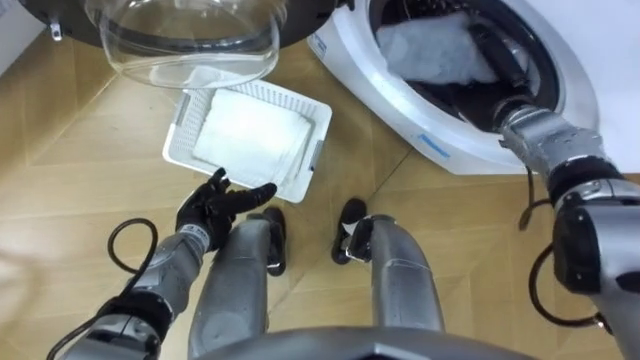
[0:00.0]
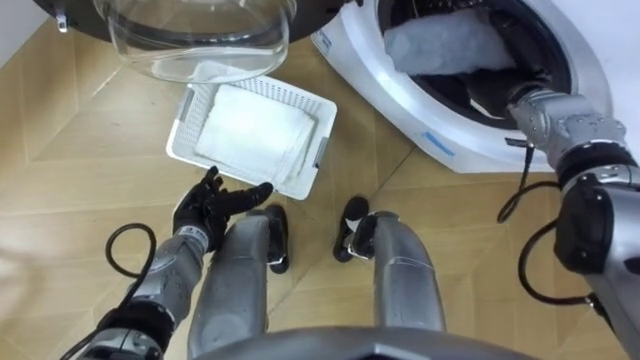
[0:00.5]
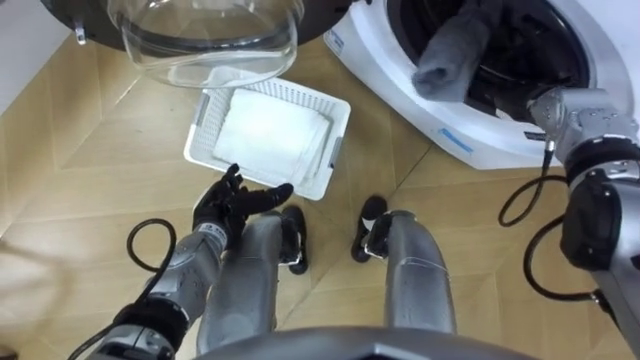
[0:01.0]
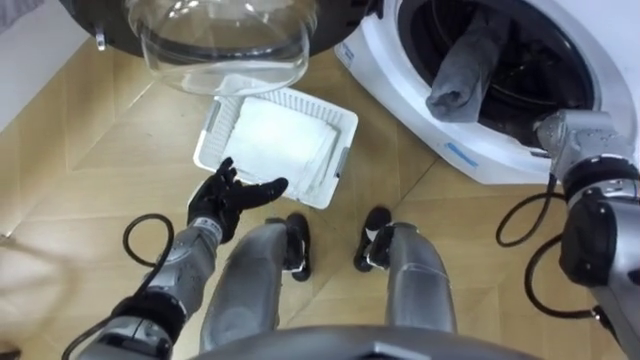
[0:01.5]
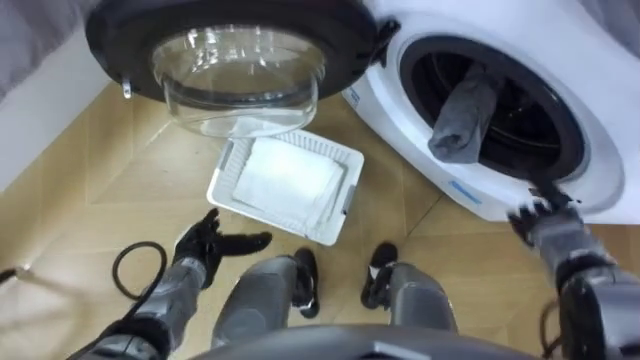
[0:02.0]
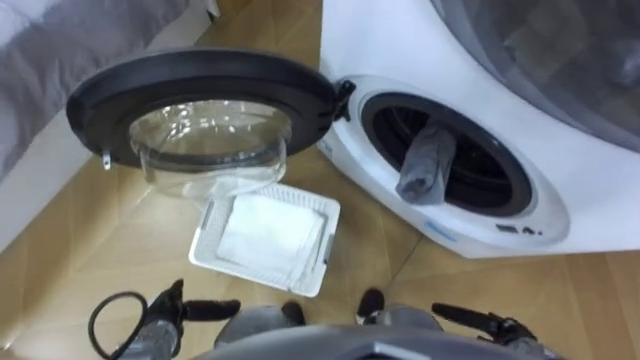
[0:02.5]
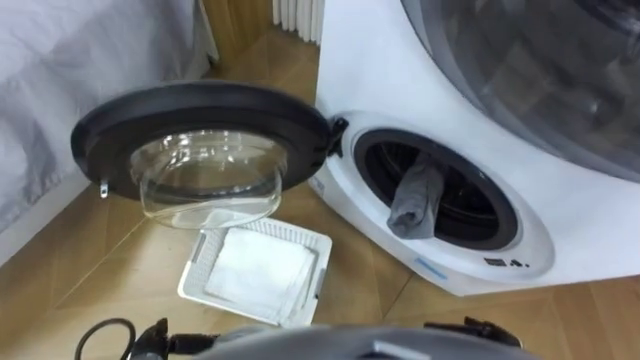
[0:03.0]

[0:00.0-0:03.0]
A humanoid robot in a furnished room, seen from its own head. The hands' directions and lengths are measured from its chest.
Task of the whole recording: Take the towel from the basket and put it into the washing machine.
0:00.0 to 0:01.5: The right hand heads to the right, covering roughly 5 cm, and opens up.
0:01.5 to 0:03.0: The left hand moves backward and to the left, approximately 25 cm; the right hand goes about 35 cm backward and downward.

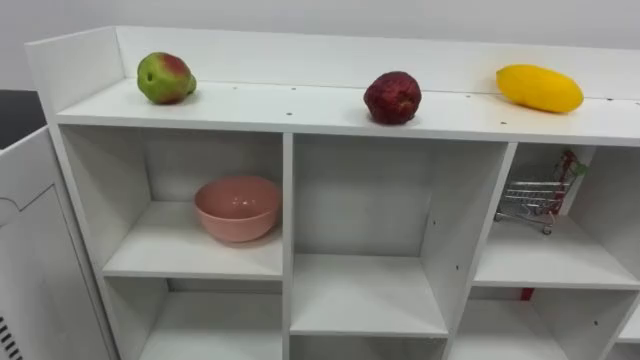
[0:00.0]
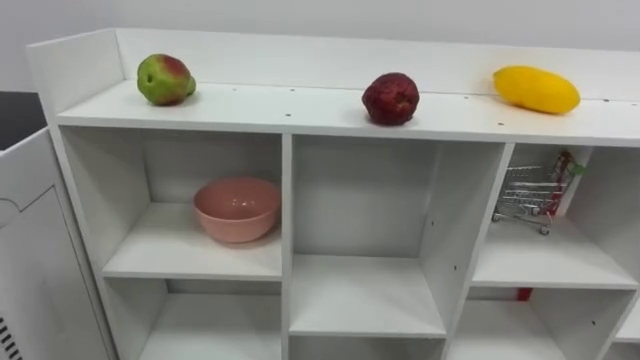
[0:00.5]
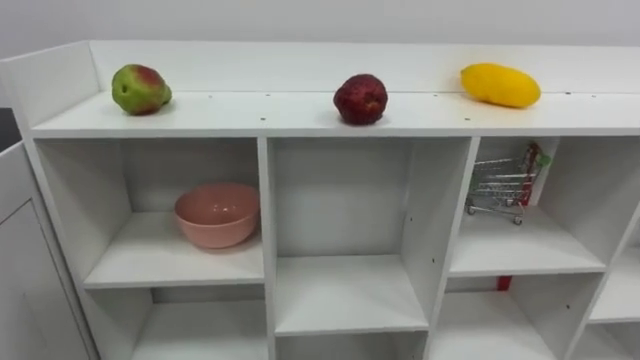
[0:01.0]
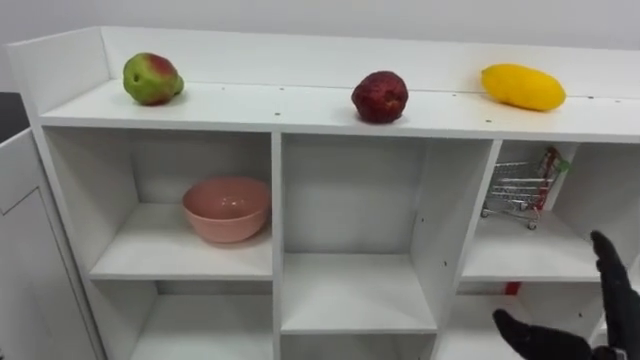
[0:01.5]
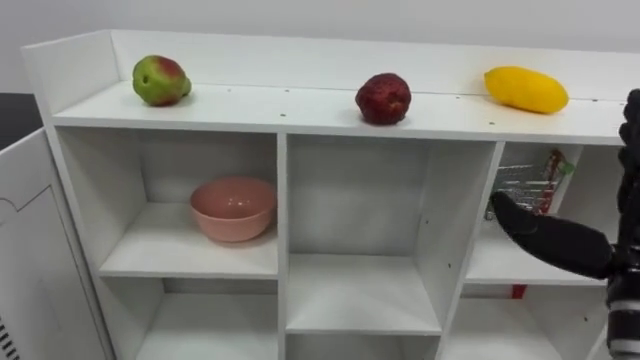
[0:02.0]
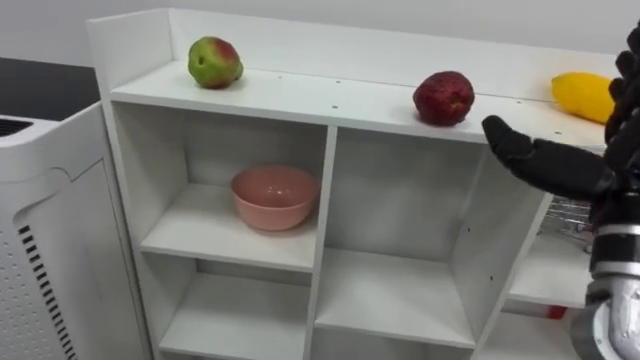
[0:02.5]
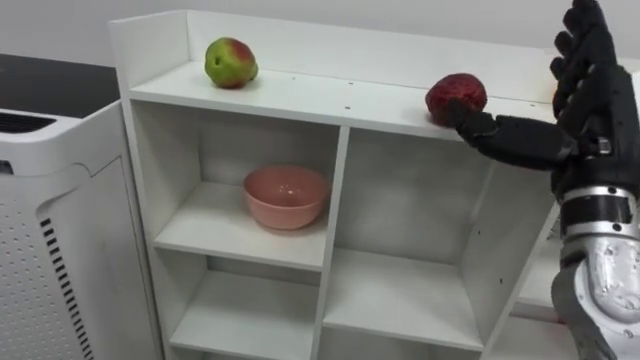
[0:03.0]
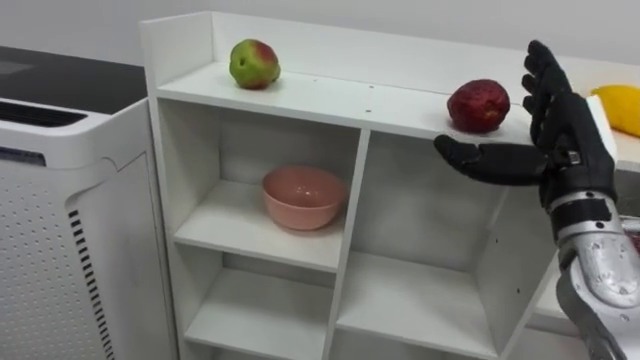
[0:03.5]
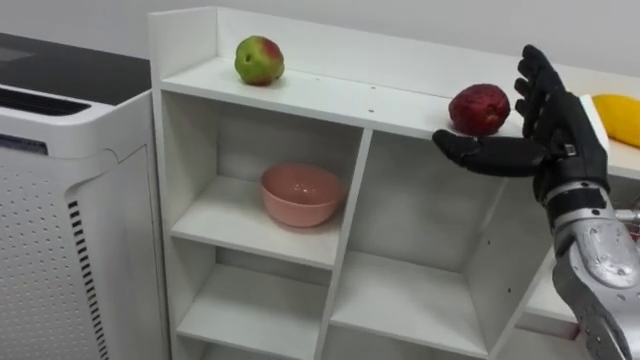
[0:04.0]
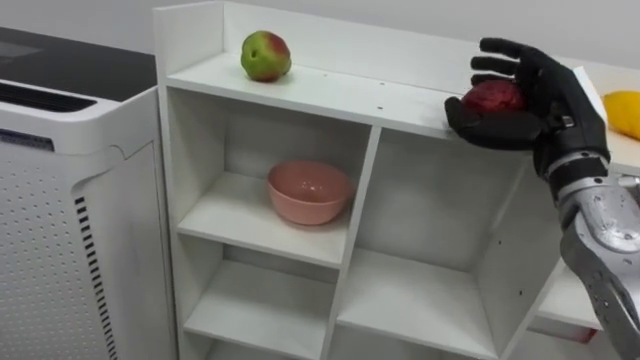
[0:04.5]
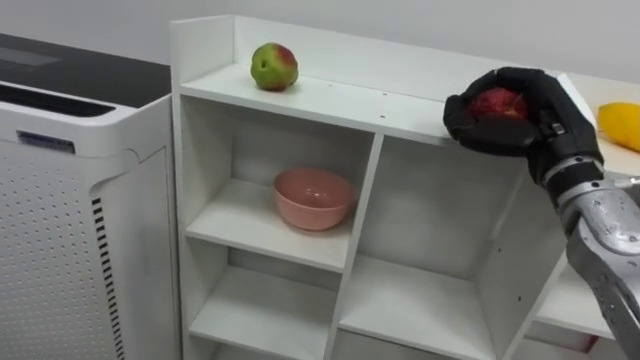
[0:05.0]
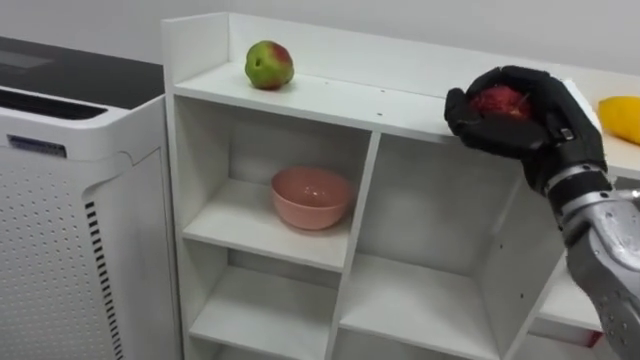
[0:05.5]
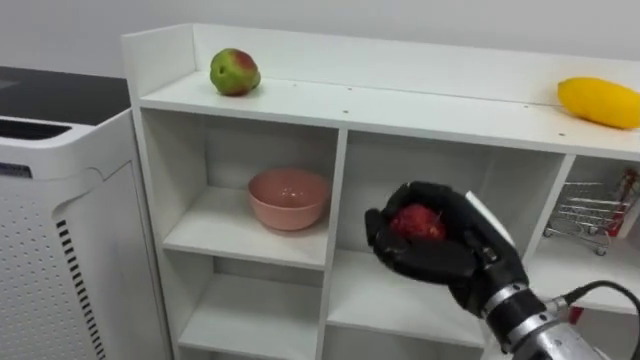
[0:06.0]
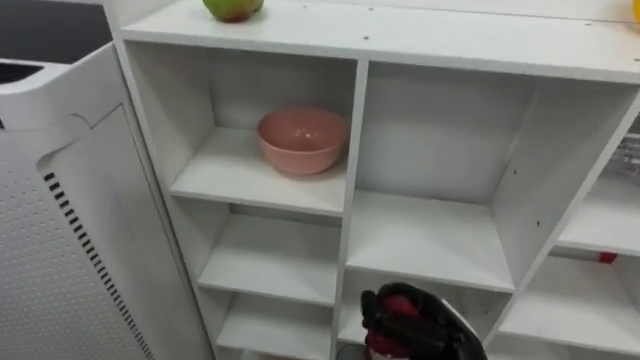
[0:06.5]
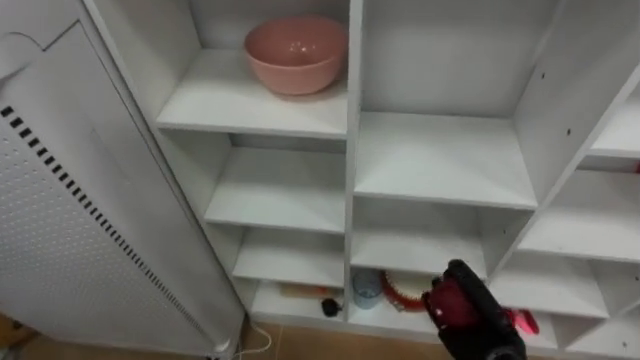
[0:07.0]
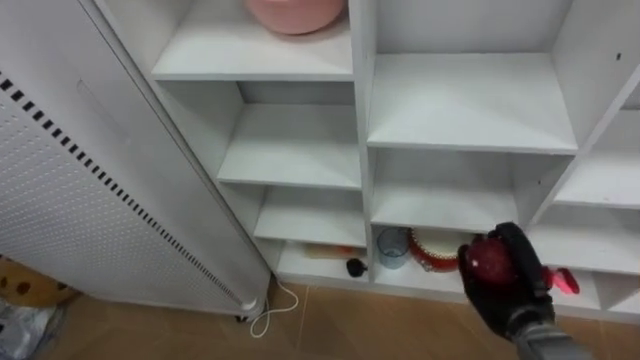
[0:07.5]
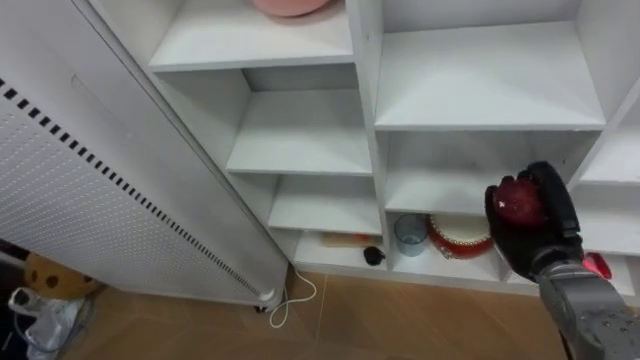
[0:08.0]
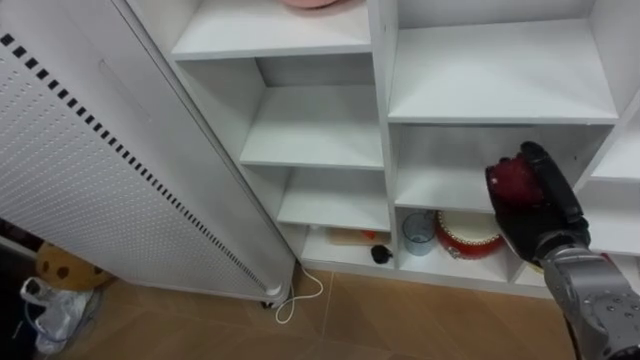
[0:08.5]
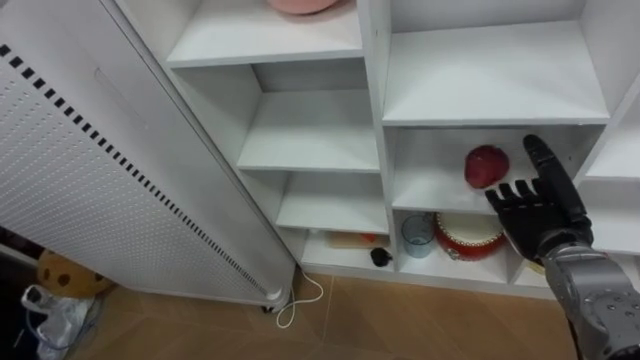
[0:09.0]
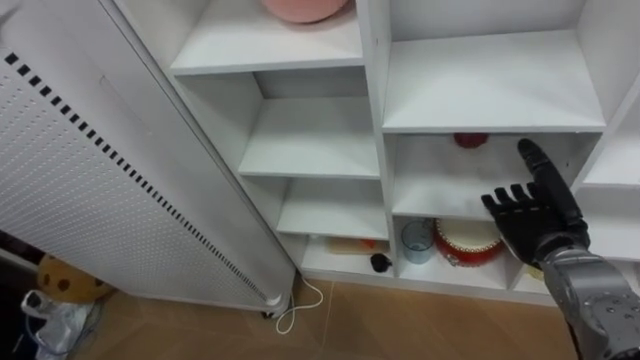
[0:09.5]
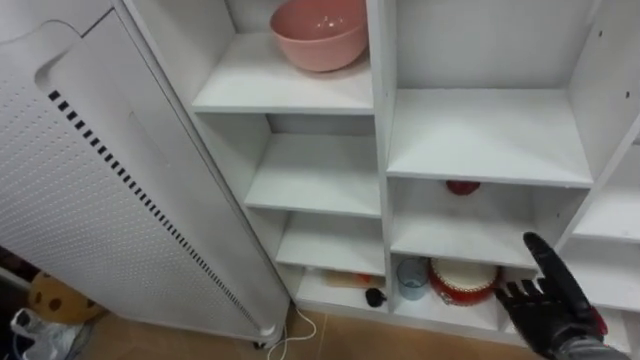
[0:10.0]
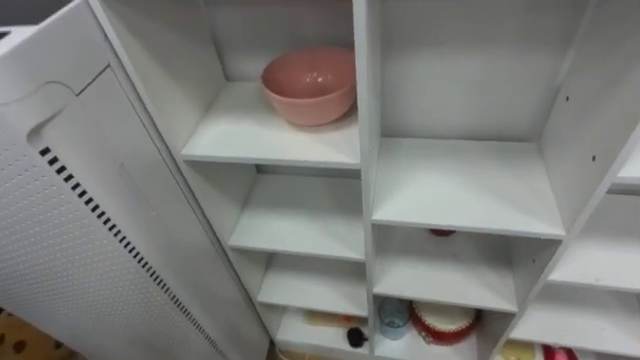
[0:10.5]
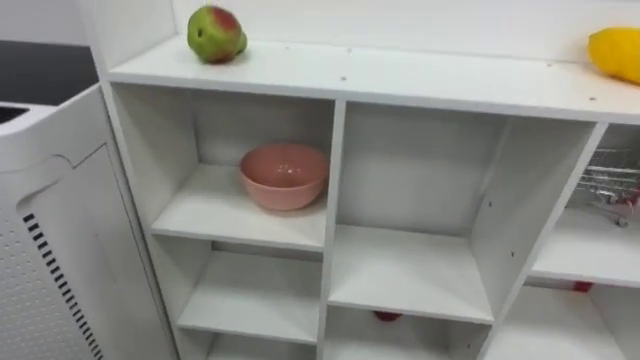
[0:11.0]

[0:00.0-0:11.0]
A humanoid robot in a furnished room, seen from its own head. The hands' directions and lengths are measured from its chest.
Task of the whole recording: Put the apple in the cell in the second column from the left and the second row from the top.
0:02.0 to 0:03.5: The right hand is displaced forward by approximately 10 cm.
0:03.5 to 0:05.5: The right hand closes up.
0:05.5 to 0:07.5: The right hand travels downward by some 25 cm.
0:07.5 to 0:09.0: The right hand moves upward, roughly 10 cm, and opens up.

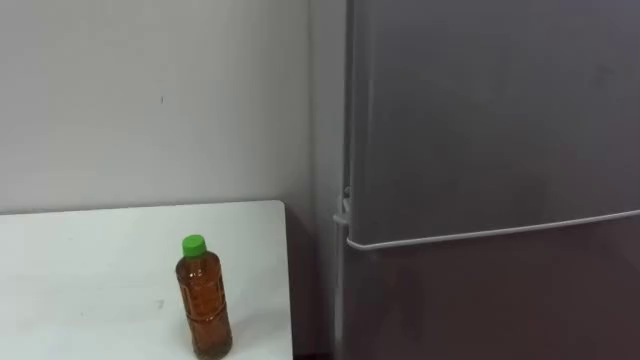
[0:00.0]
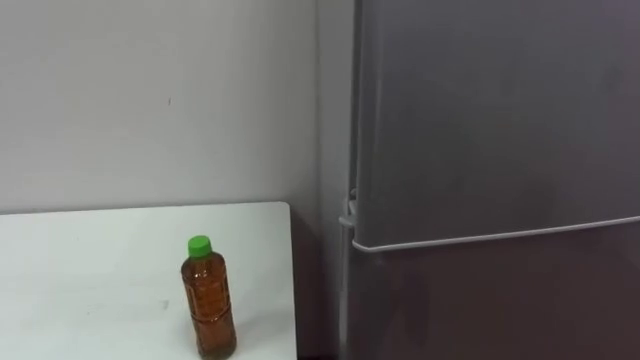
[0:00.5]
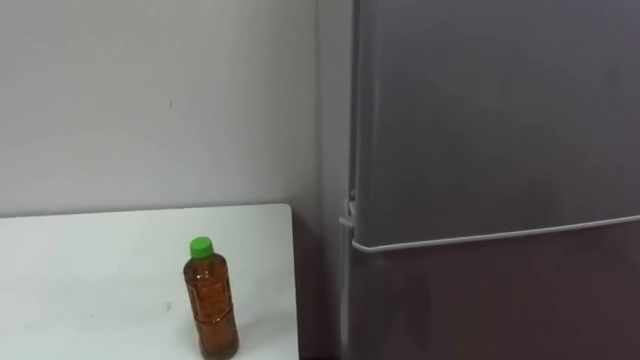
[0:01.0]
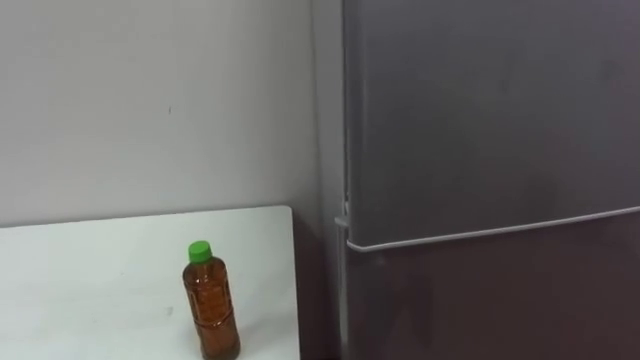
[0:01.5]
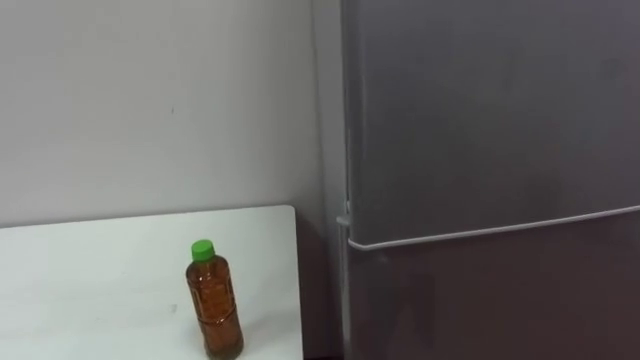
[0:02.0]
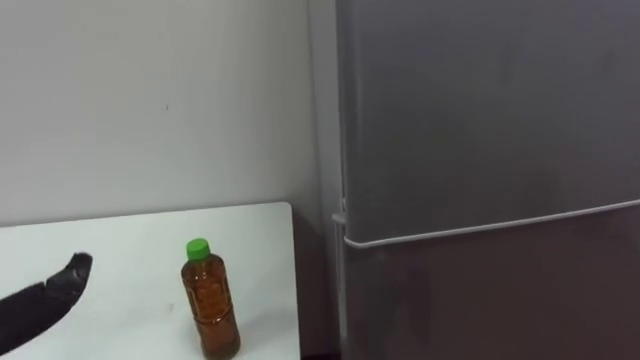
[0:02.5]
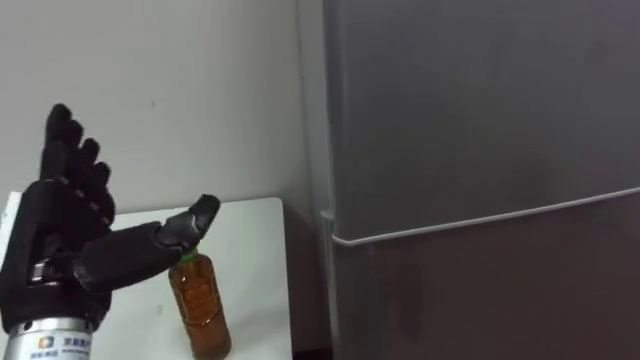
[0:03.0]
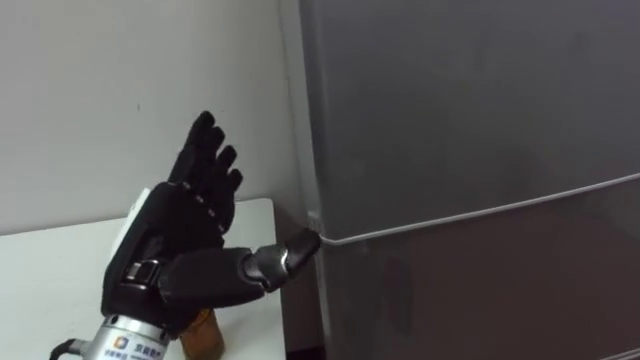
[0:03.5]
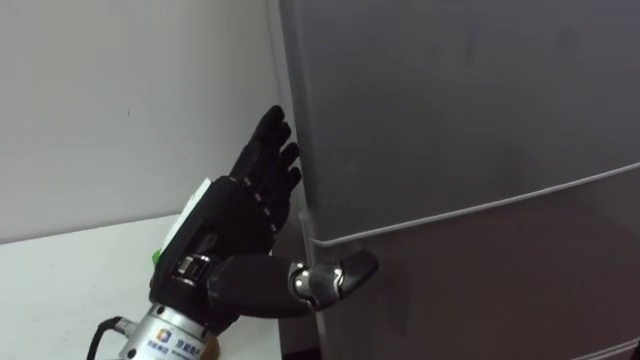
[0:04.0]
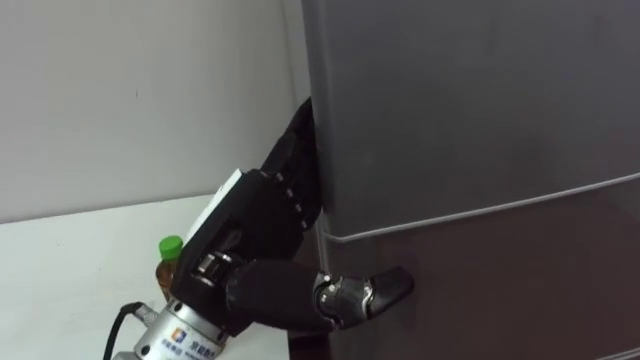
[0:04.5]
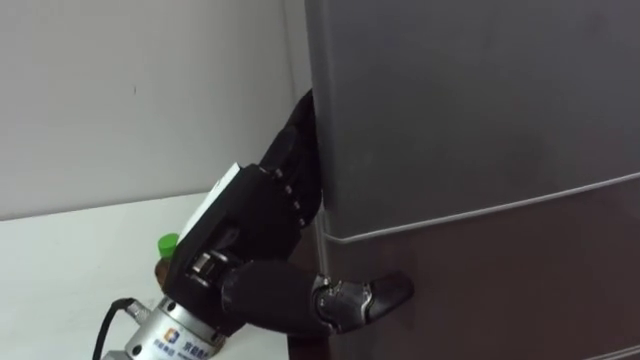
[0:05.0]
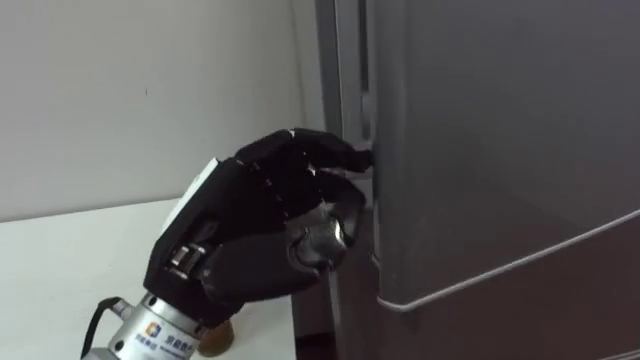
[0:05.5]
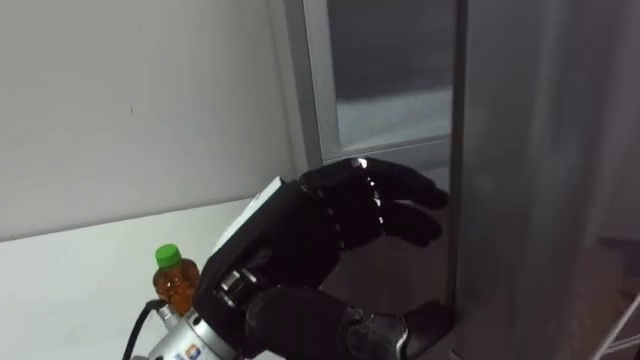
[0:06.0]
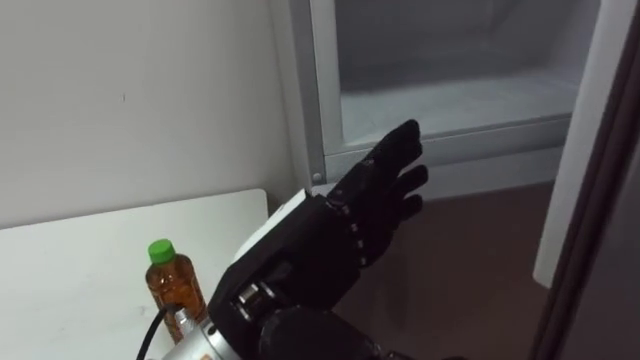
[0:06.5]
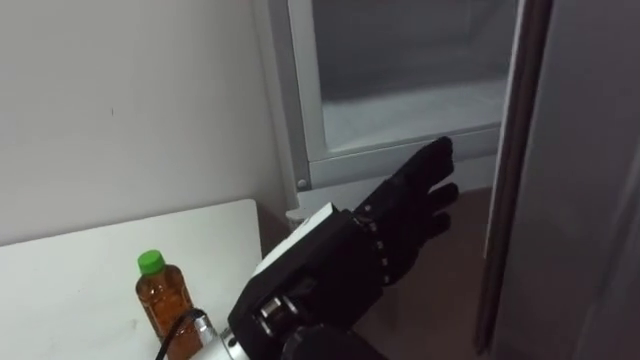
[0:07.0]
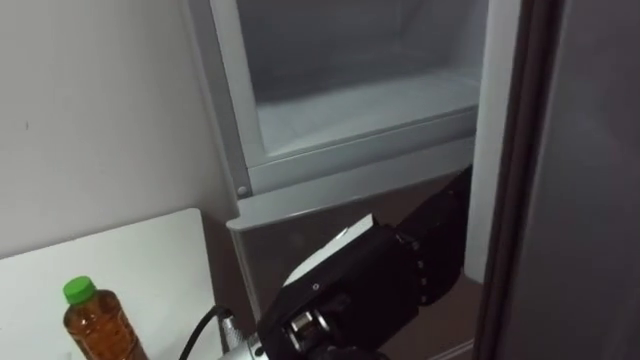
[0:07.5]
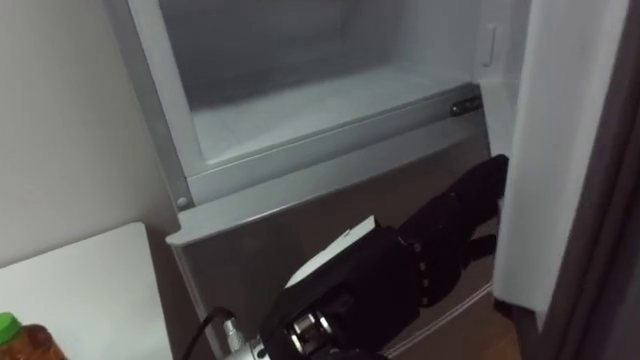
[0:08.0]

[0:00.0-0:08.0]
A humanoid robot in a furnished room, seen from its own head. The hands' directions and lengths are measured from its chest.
Task of the whole recording: Open the upper refrigerator door, put the drink from the table into the refrigerator, and then close the refrigerator door.
0:04.0 to 0:06.0: The left hand ends up roughly 5 cm from where it was, and closes.
0:06.0 to 0:08.0: The left hand goes roughly 5 cm to the right, and opens.
